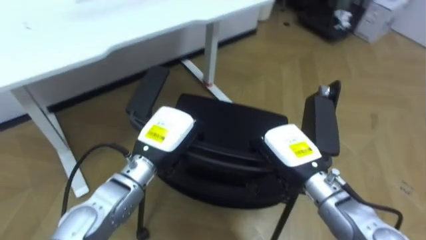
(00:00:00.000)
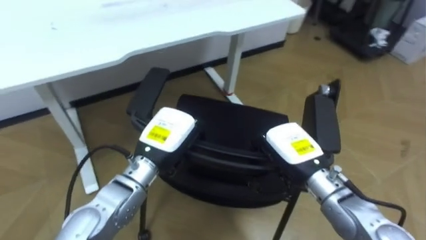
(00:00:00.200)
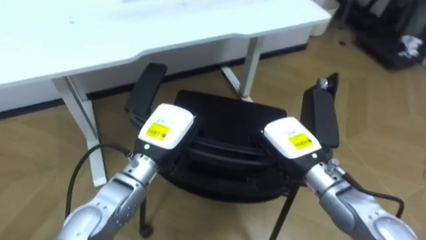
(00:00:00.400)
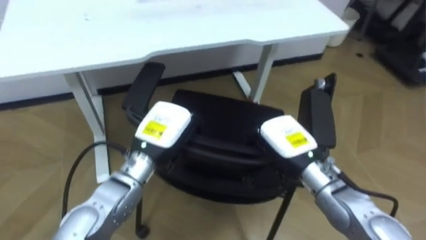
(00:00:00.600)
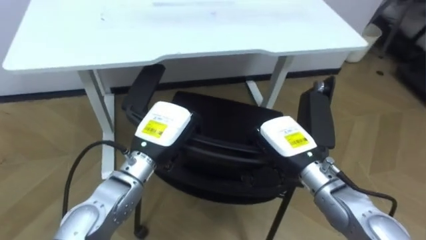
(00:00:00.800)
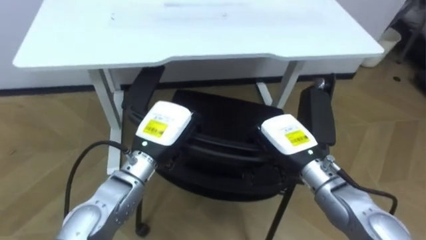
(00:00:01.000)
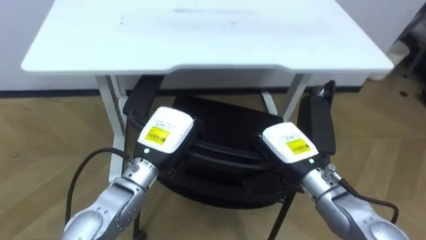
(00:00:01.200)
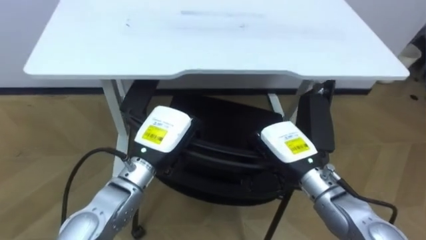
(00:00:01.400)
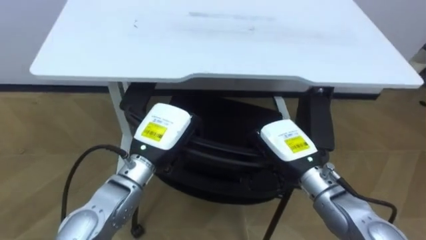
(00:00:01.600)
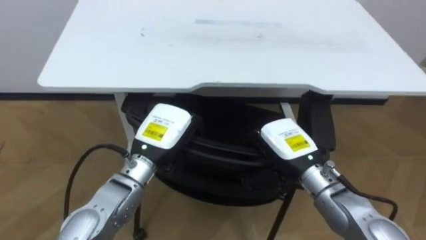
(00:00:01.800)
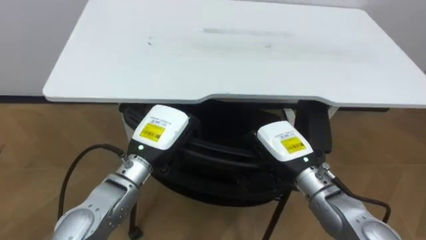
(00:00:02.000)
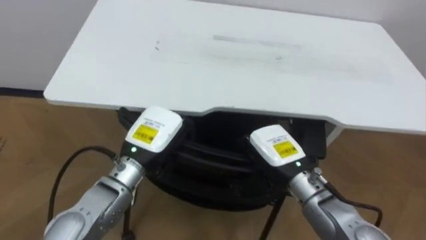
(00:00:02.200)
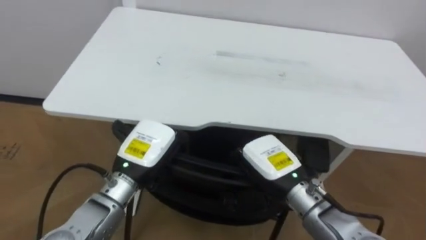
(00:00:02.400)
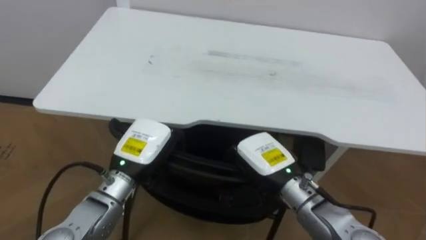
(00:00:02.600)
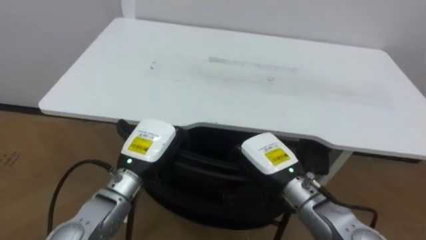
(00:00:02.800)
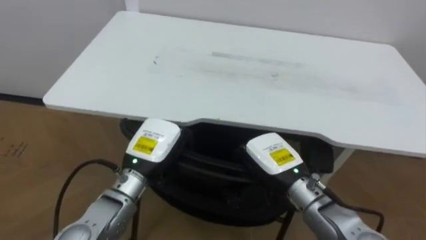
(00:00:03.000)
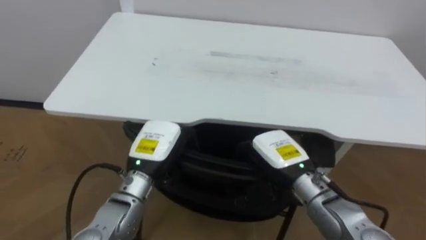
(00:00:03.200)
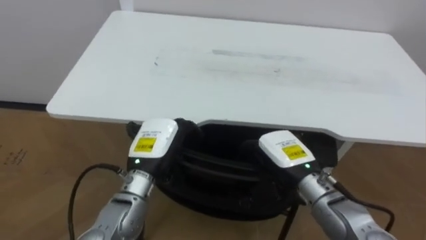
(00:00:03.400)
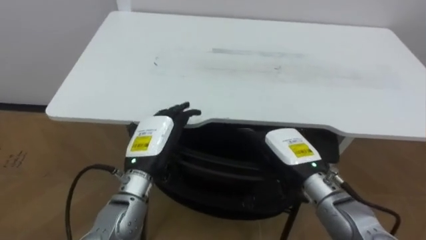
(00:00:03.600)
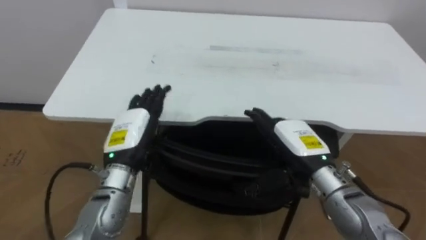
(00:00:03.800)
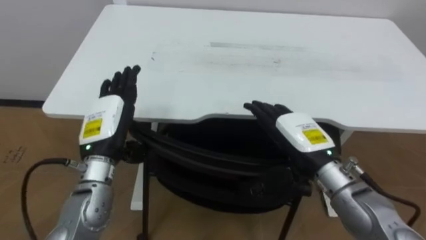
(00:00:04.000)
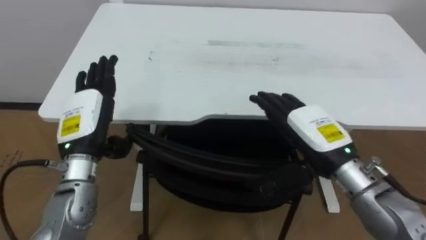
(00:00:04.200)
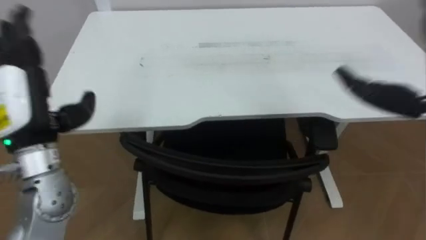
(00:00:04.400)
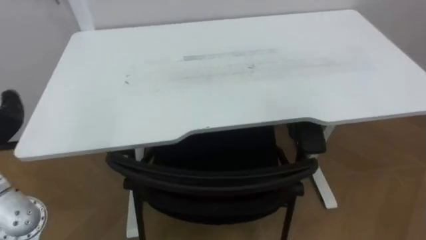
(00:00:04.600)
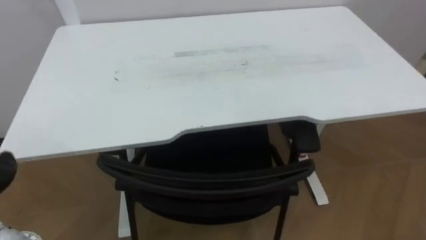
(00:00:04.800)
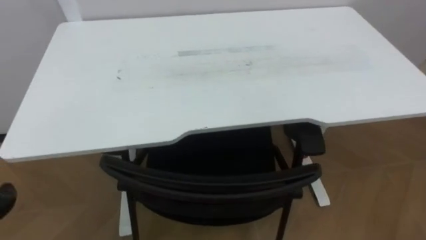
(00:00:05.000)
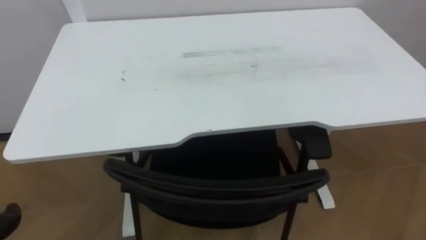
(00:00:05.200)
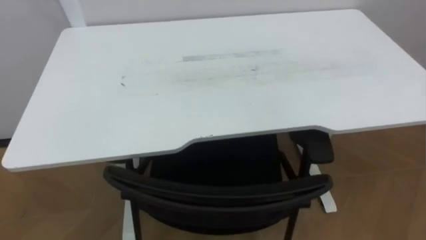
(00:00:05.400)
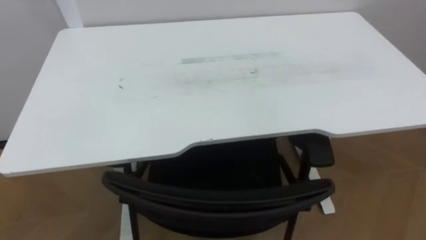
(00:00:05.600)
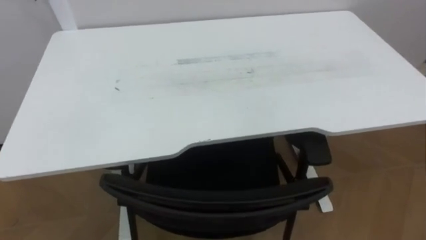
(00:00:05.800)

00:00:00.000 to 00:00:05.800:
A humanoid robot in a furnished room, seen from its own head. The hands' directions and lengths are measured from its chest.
Task of the whole recording: Push the chair under the table.
00:00:00.000 to 00:00:01.400: The robot rotates some 25 degrees to its left.
00:00:02.800 to 00:00:04.400: The left hand goes some 15 cm to the left and upward, and opens. Meanwhile the right hand moves to the right and upward, approximately 25 cm, and opens its fingers.

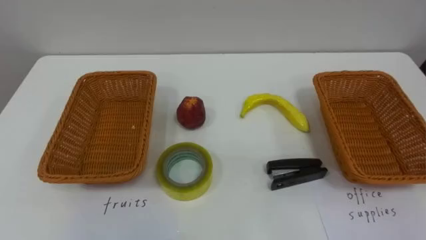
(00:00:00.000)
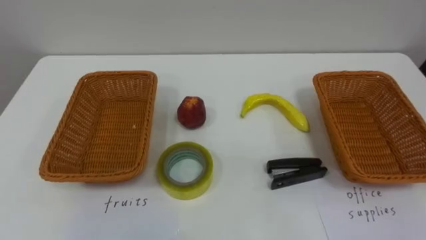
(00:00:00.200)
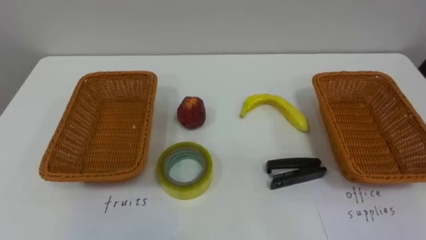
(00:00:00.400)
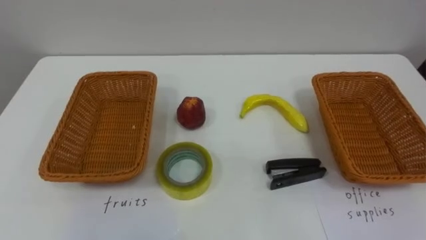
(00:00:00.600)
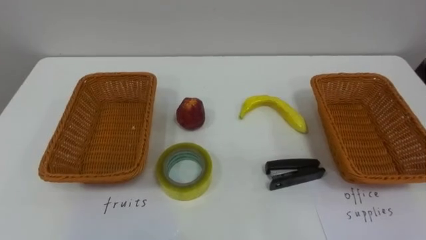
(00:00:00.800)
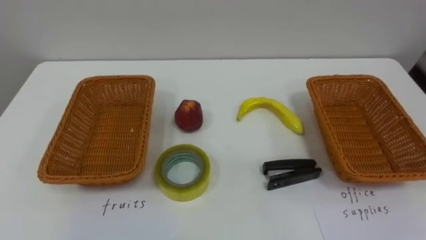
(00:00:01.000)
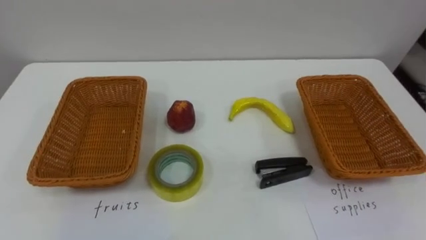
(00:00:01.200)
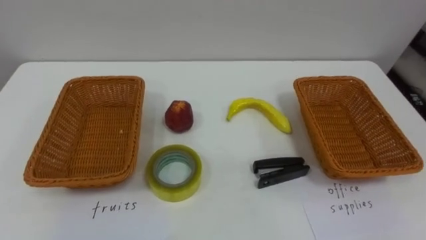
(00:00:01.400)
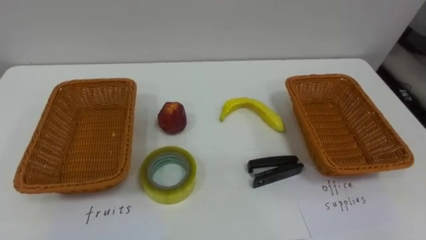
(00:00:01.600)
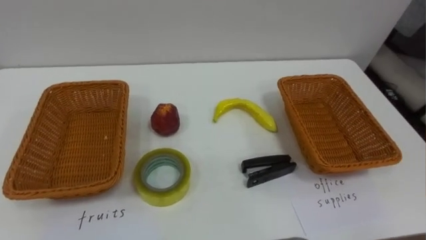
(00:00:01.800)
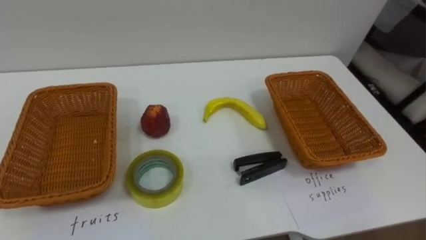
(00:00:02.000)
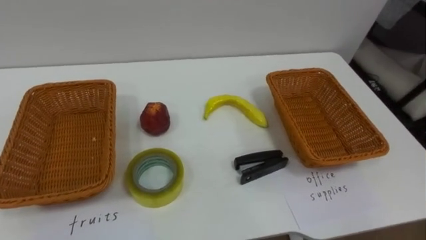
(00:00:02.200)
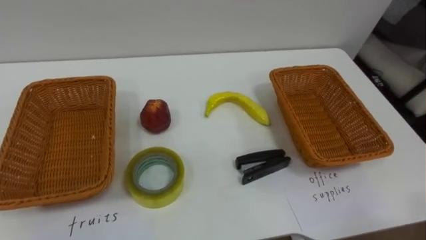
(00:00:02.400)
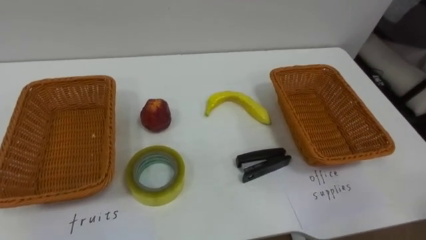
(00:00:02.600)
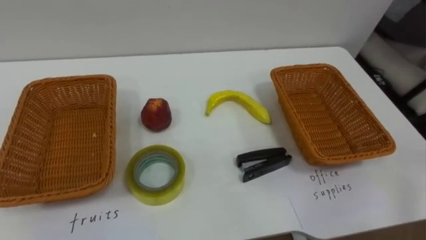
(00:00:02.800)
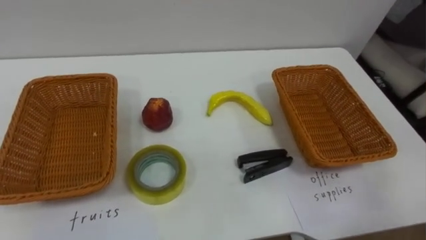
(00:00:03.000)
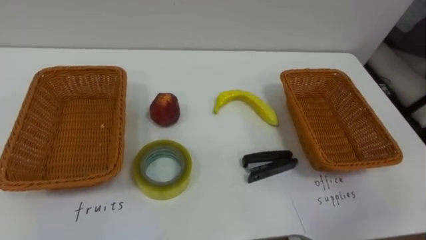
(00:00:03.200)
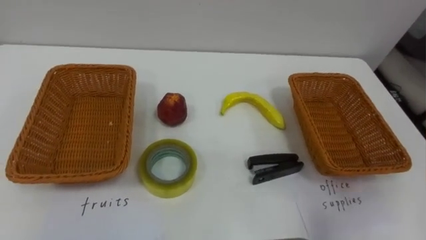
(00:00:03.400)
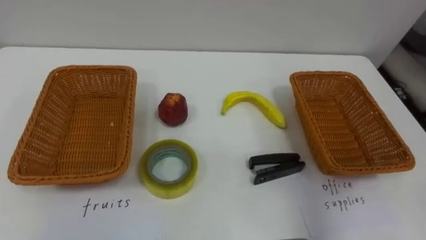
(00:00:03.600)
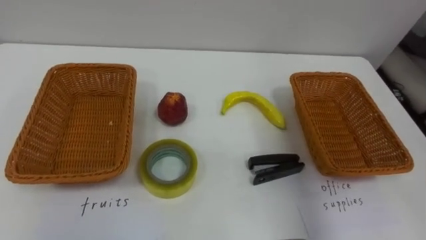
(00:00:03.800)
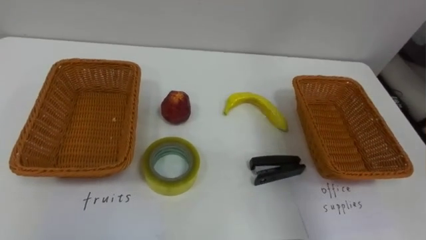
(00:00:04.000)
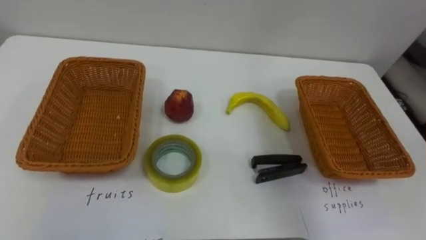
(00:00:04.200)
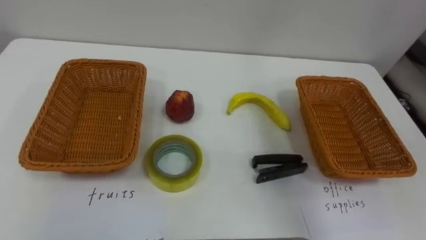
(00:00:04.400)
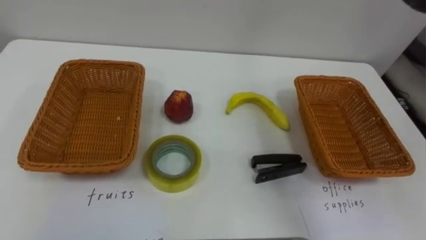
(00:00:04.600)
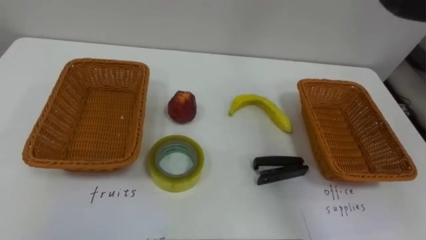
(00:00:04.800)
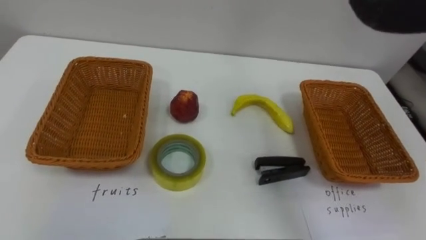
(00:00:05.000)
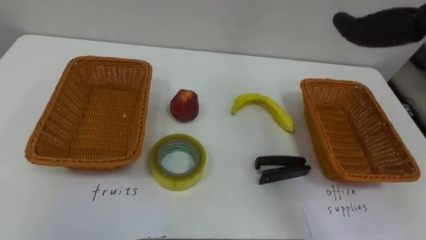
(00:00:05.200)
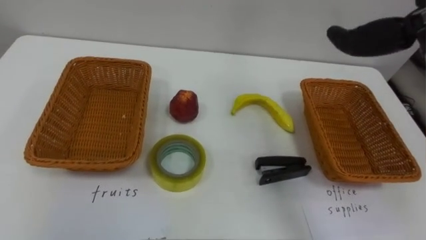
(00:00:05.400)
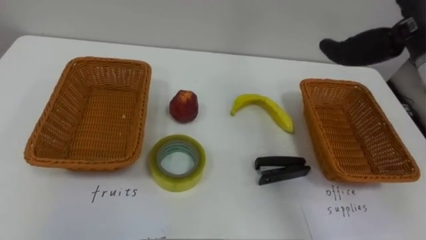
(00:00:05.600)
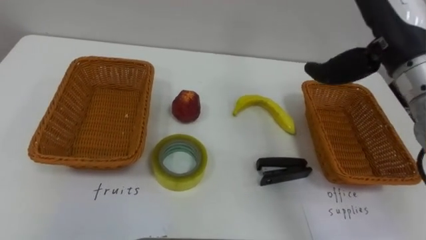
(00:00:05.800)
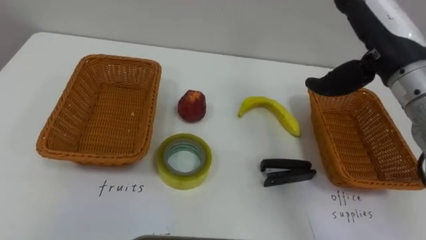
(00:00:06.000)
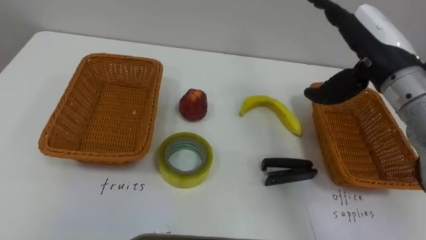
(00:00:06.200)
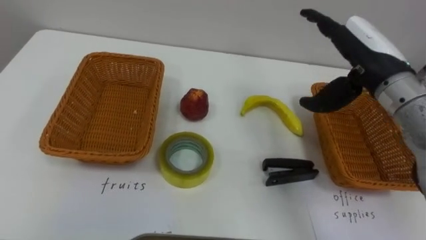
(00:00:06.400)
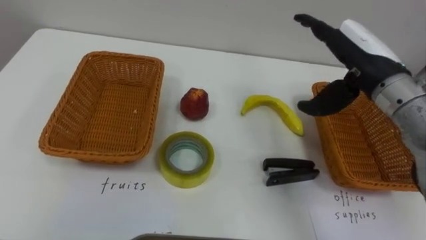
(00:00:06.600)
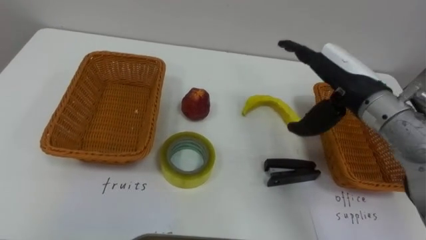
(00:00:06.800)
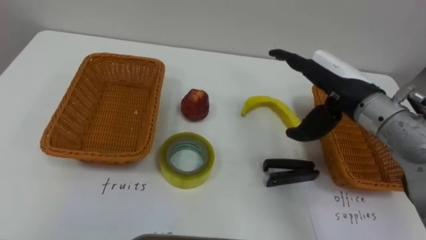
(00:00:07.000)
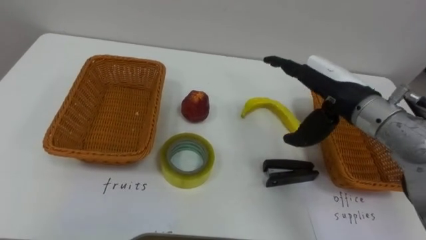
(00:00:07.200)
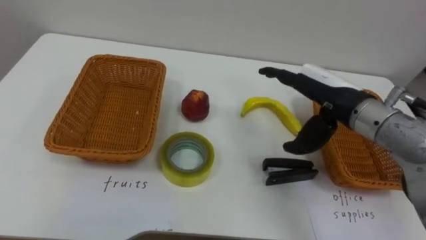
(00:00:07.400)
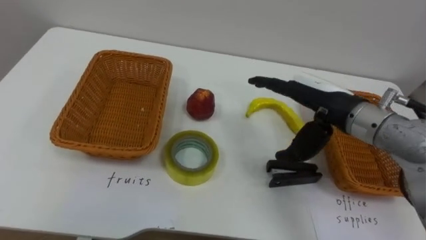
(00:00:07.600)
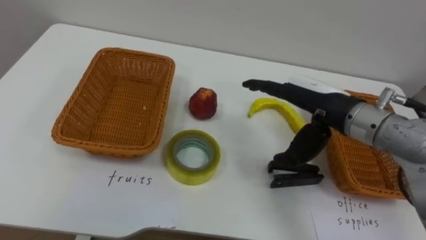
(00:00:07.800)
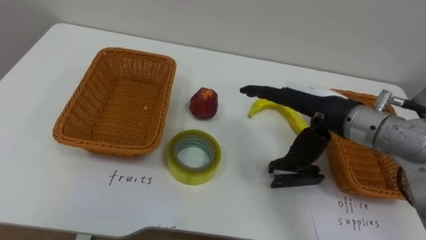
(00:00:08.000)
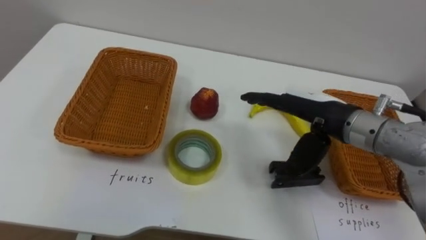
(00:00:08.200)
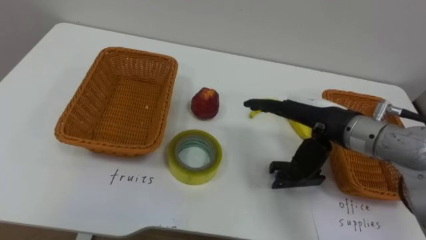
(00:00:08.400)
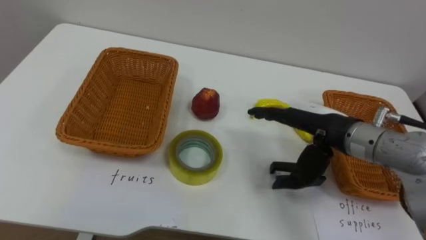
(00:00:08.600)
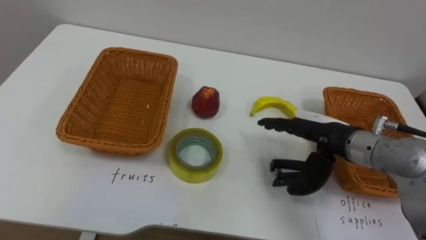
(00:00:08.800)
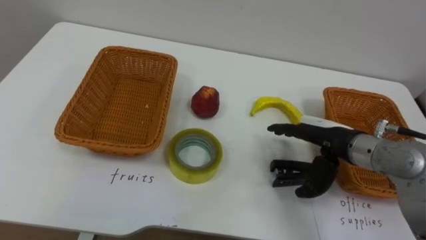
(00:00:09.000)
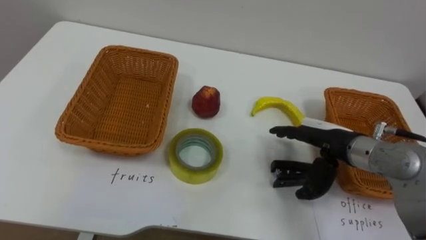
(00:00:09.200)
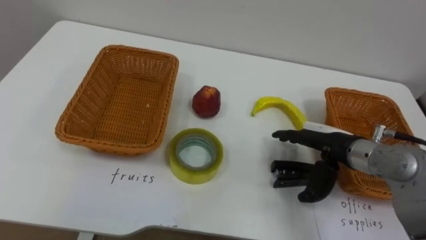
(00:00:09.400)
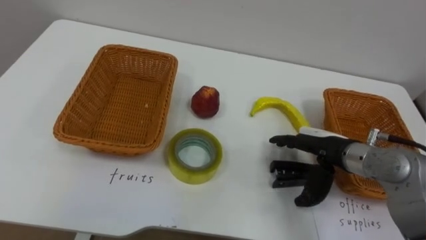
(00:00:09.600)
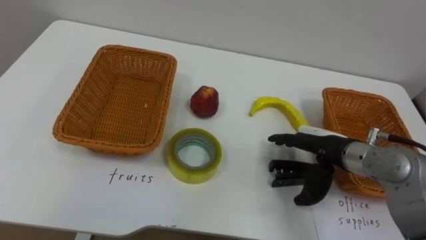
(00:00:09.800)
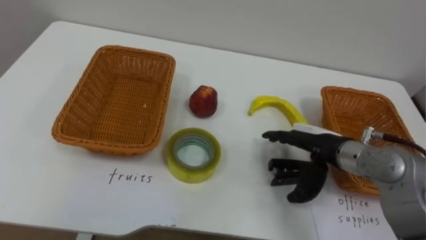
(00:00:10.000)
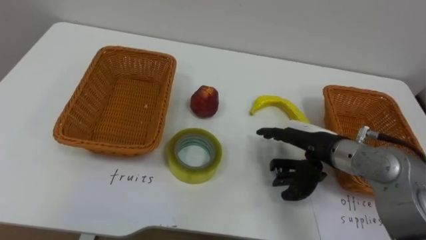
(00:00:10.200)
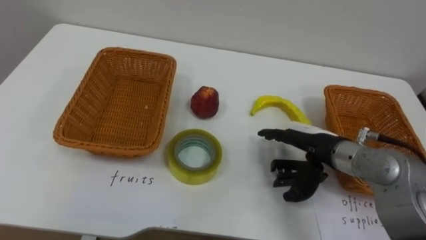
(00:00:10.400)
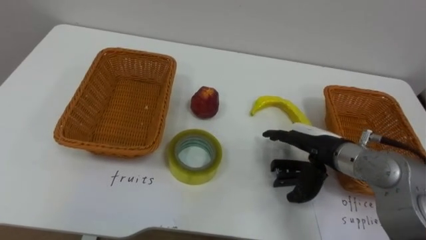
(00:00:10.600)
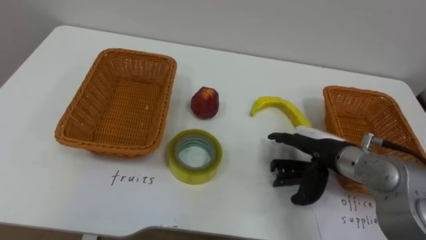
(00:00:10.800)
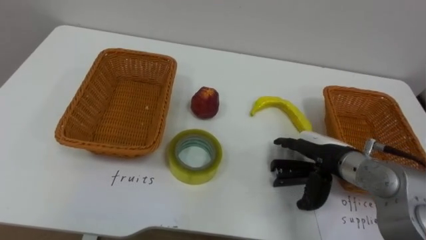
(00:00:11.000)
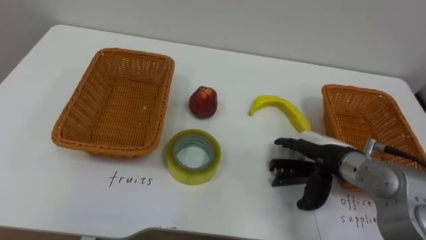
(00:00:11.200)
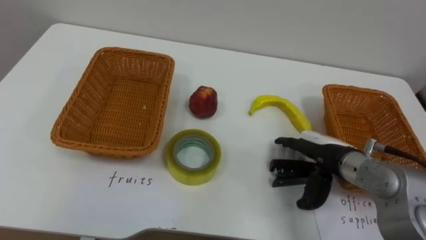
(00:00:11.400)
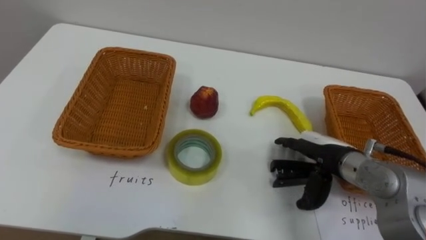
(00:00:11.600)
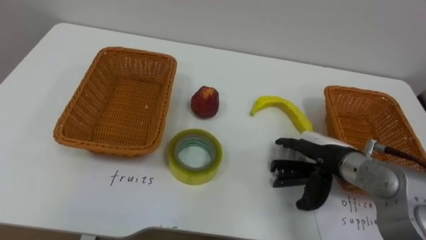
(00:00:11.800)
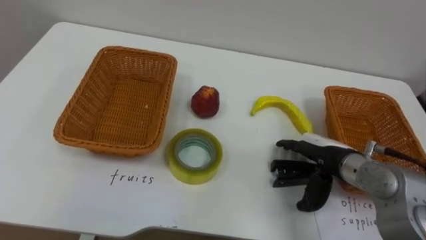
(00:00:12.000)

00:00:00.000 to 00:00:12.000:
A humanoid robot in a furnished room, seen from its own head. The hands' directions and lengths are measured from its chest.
Task of the whole recording: Separate the items on the table and place them into the two baskets.
00:00:06.000 to 00:00:07.600: The right hand heads downward and to the left, covering roughly 10 cm.
00:00:07.600 to 00:00:09.000: The right hand travels downward by about 10 cm.
